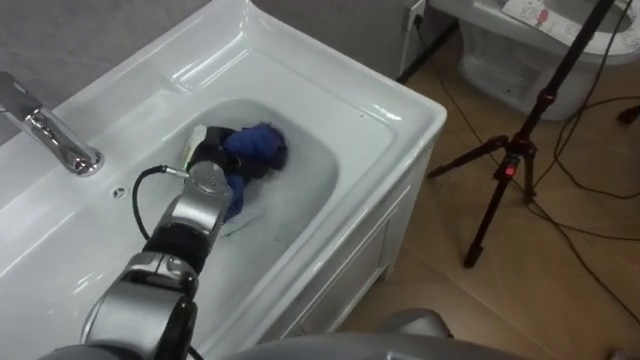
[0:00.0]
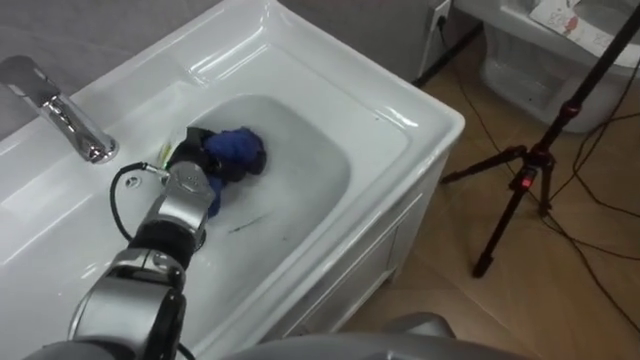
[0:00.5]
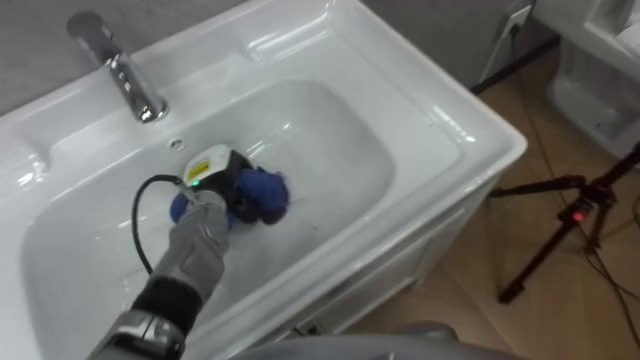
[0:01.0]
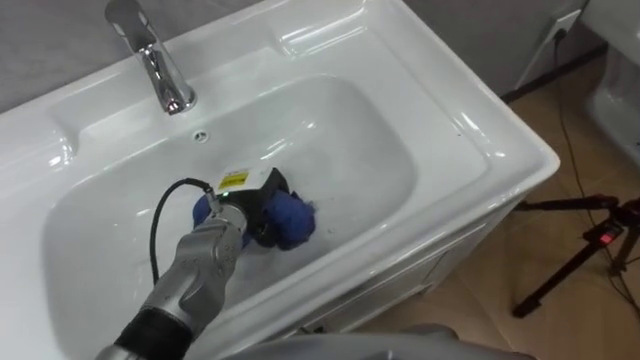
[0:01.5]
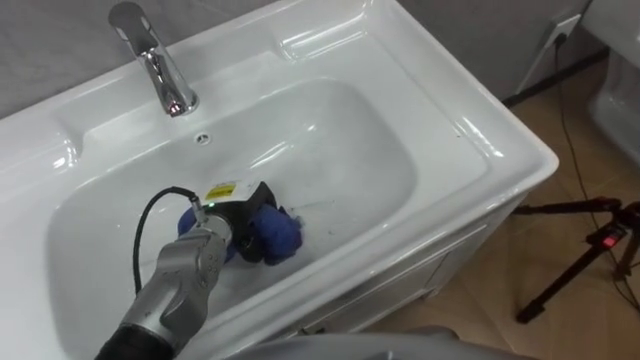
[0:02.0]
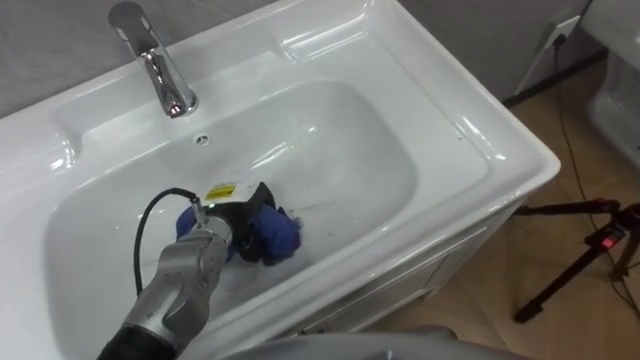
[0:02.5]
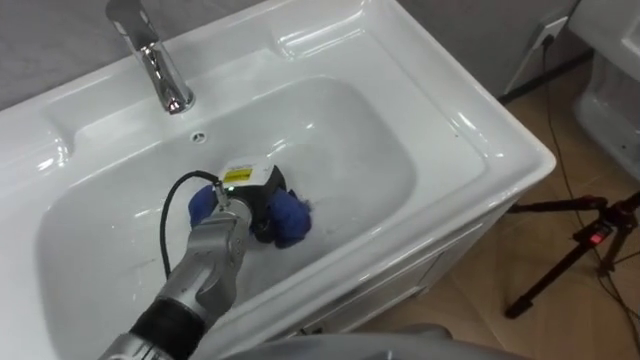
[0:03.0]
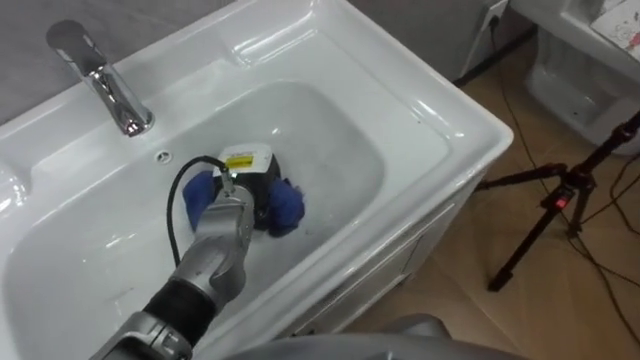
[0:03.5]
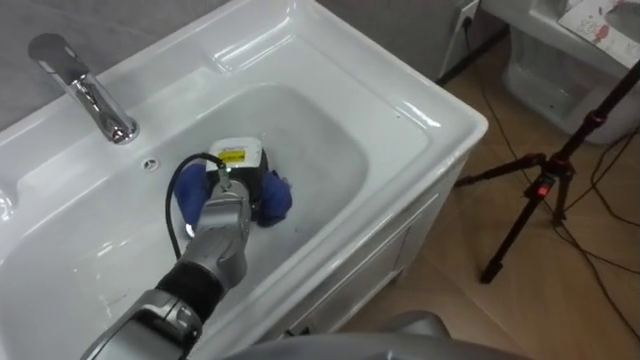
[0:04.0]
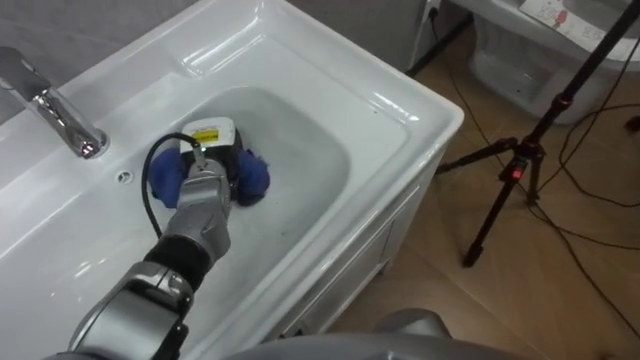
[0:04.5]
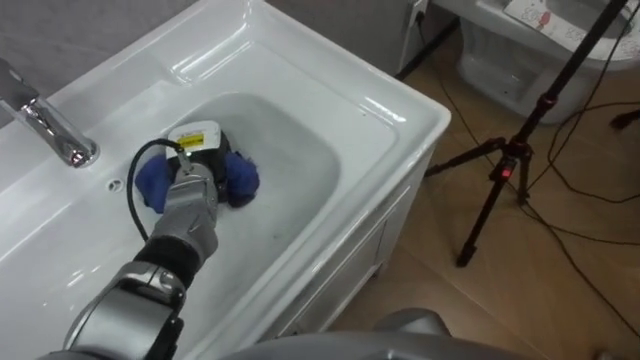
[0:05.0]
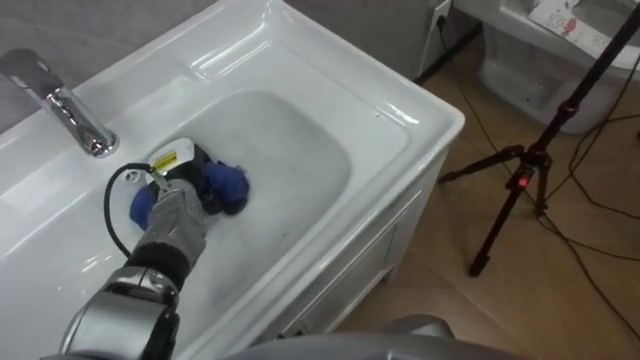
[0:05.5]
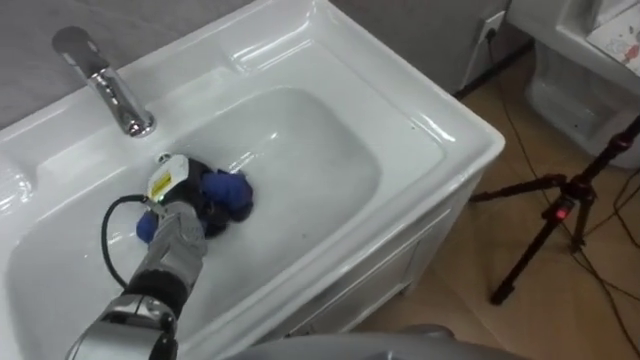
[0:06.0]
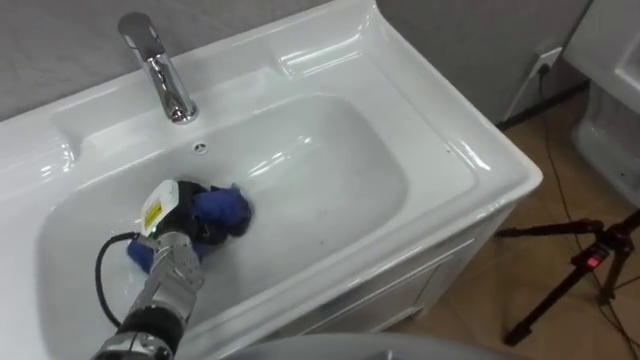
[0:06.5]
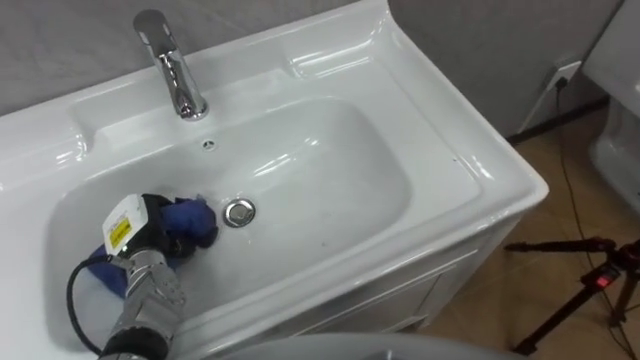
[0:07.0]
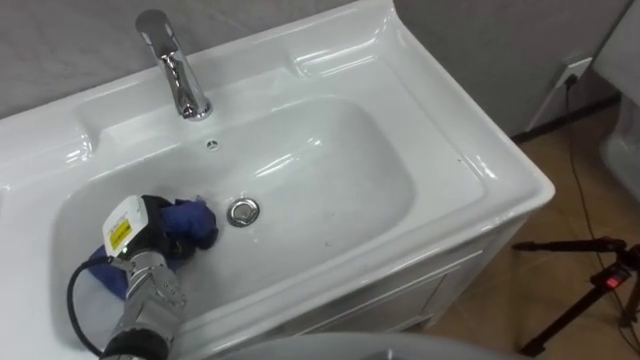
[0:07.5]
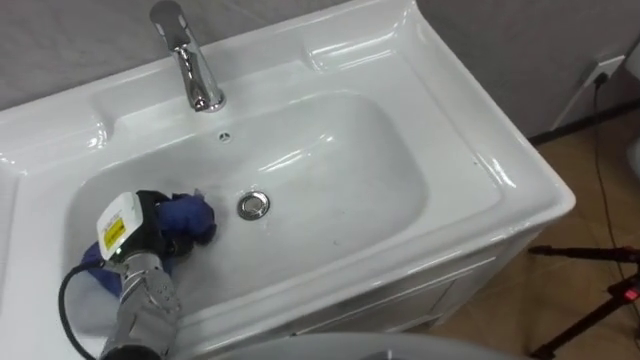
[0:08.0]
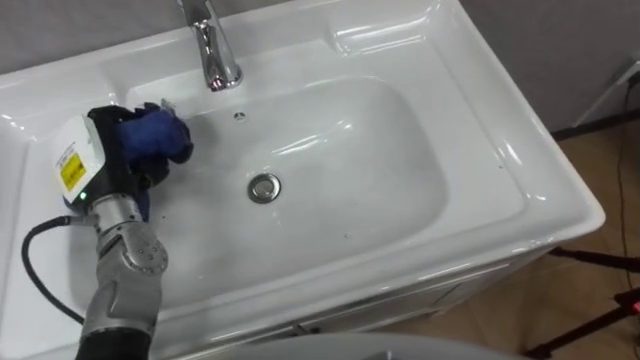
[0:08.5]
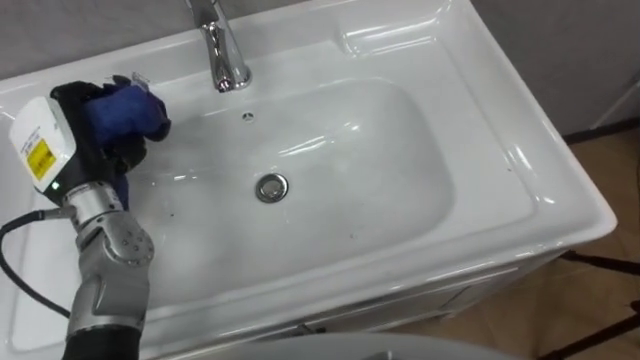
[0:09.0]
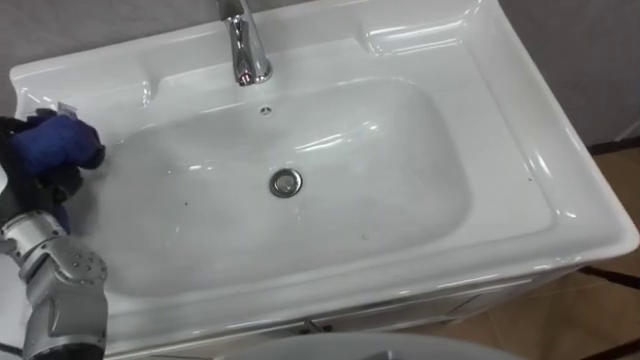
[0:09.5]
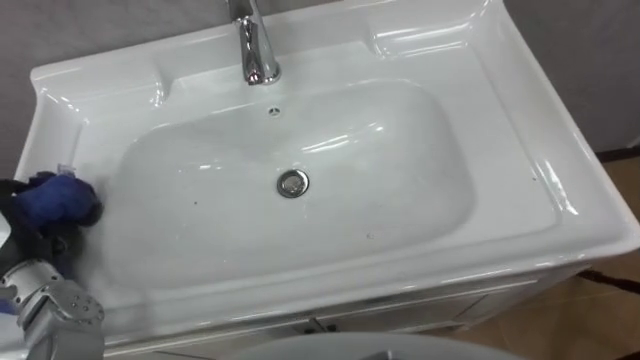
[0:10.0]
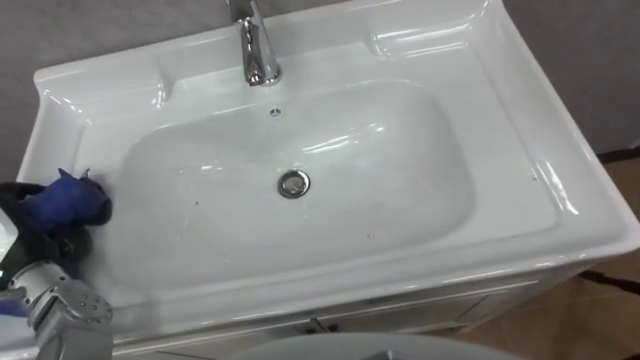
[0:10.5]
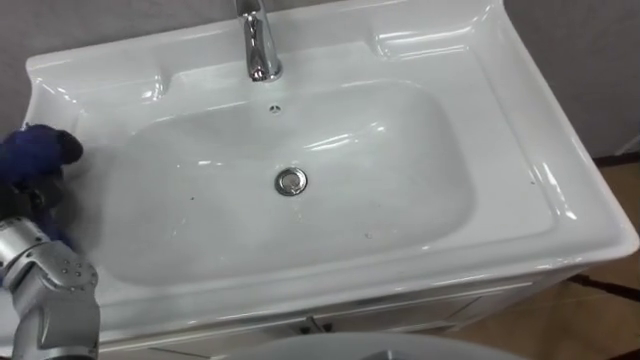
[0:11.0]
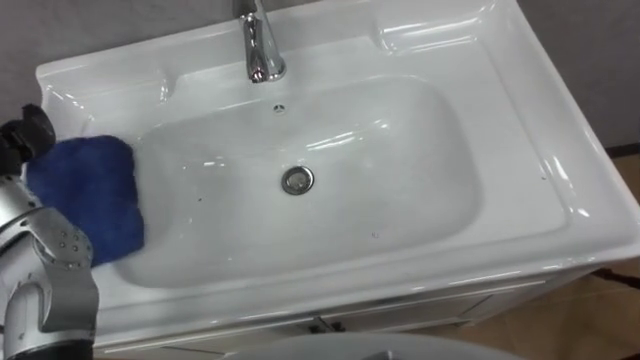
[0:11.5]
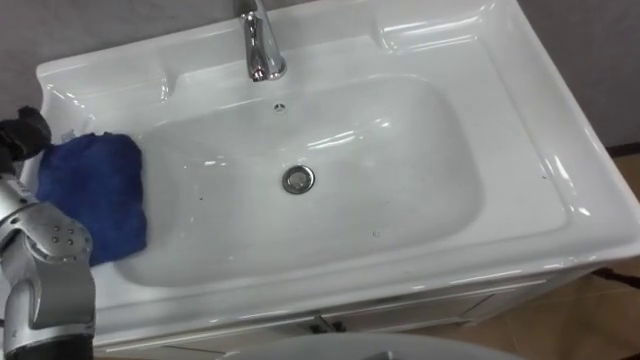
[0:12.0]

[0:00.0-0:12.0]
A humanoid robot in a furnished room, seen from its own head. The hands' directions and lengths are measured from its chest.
Task of the whole recording: Use the cloth on the right to wipe away the black stain in the sink.
0:00.0 to 0:02.0: The left hand moves backward, about 10 cm.
0:02.0 to 0:04.0: The left hand is displaced forward by approximately 5 cm.
0:04.0 to 0:06.0: The left hand shifts roughly 10 cm to the left.
0:06.0 to 0:08.0: The left hand shifts about 10 cm backward and to the left.

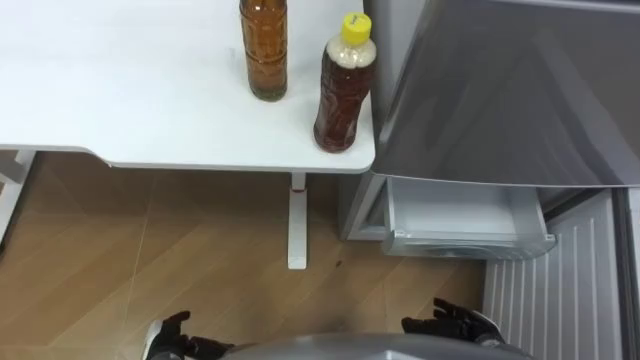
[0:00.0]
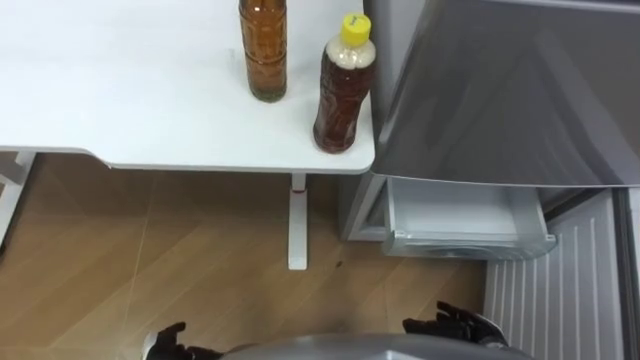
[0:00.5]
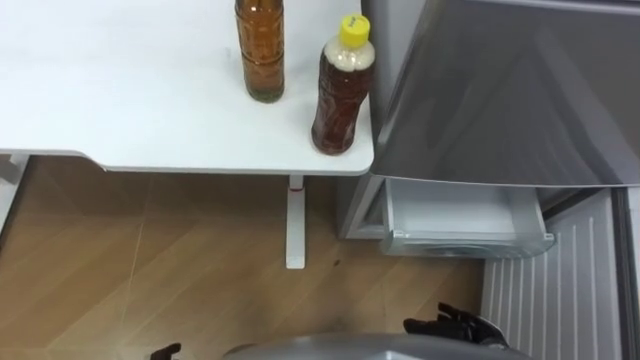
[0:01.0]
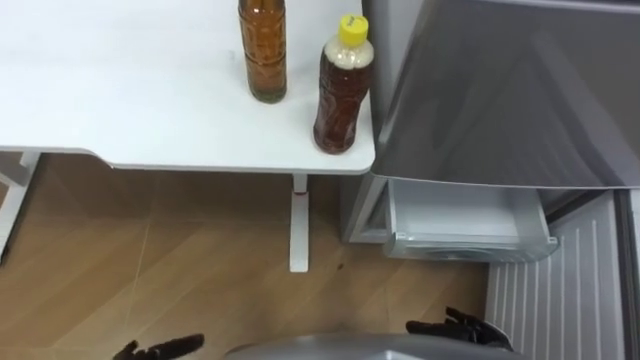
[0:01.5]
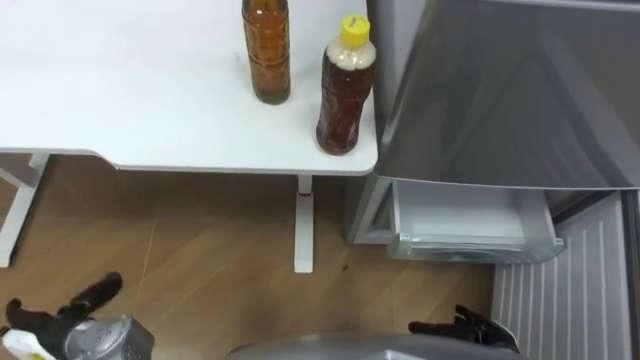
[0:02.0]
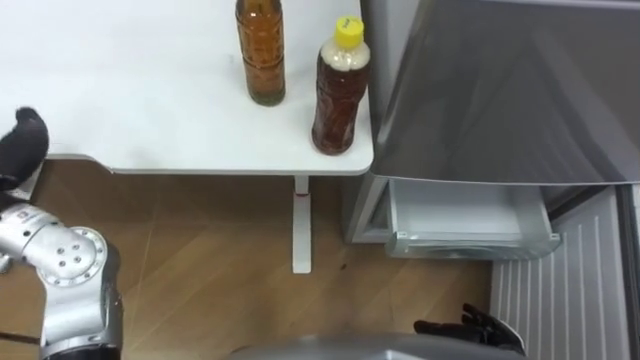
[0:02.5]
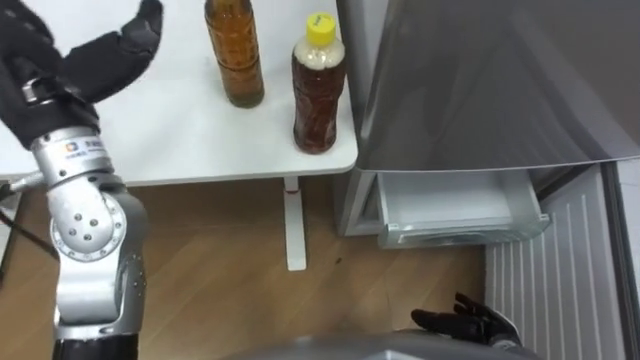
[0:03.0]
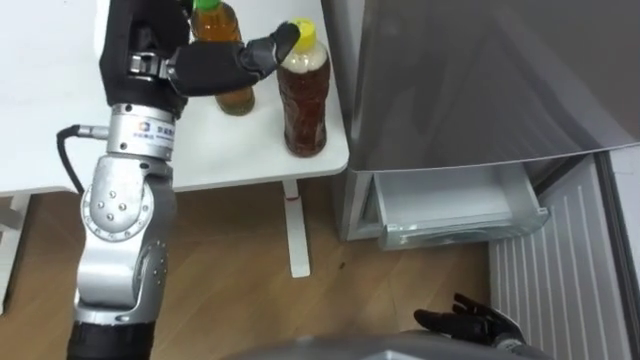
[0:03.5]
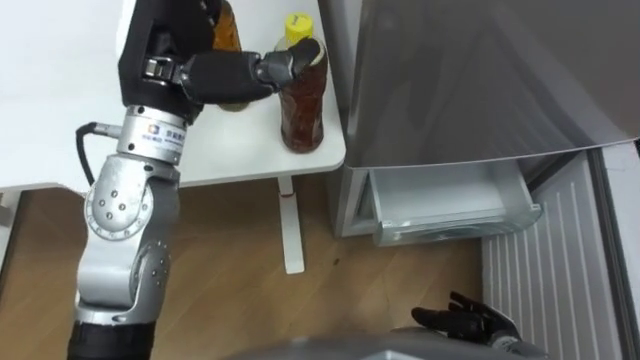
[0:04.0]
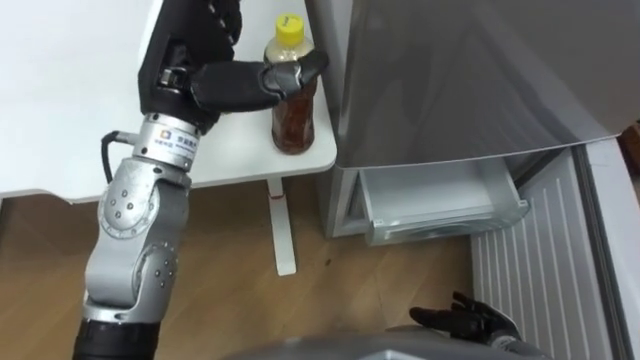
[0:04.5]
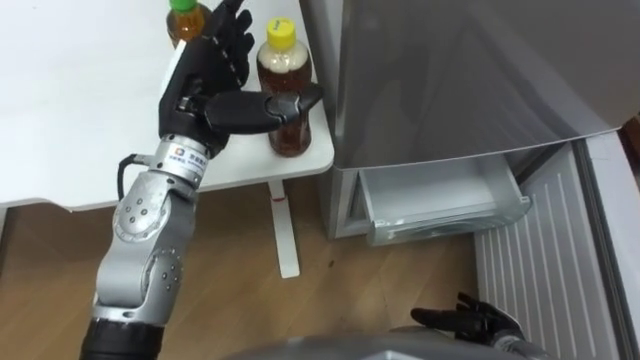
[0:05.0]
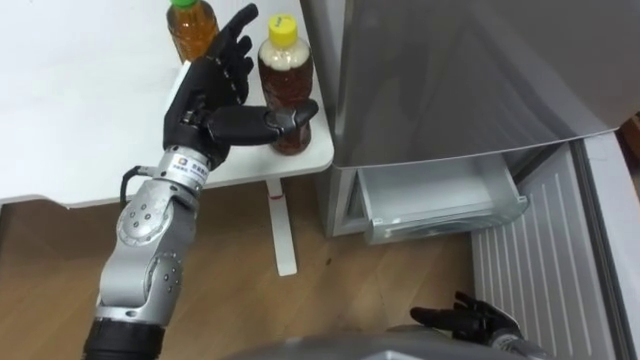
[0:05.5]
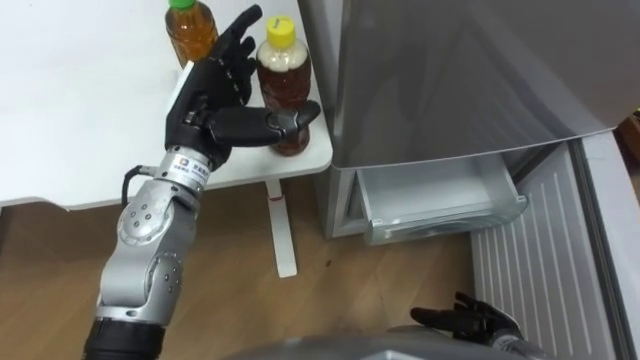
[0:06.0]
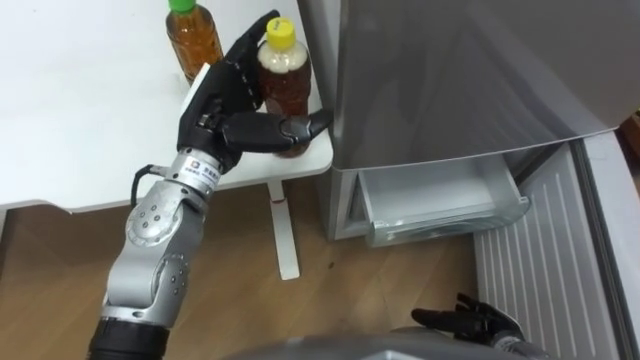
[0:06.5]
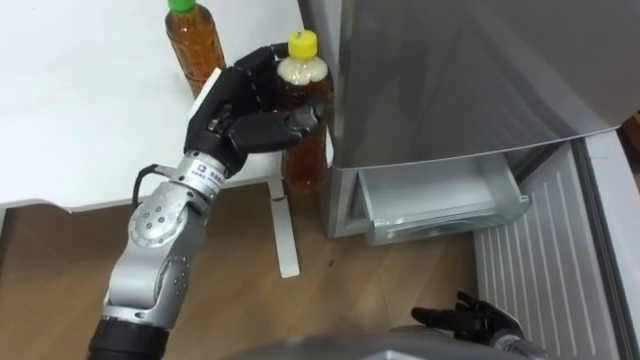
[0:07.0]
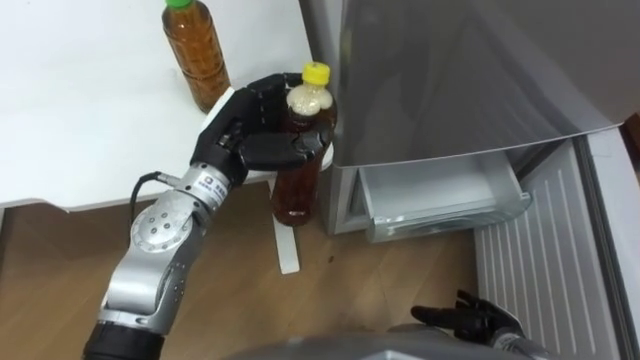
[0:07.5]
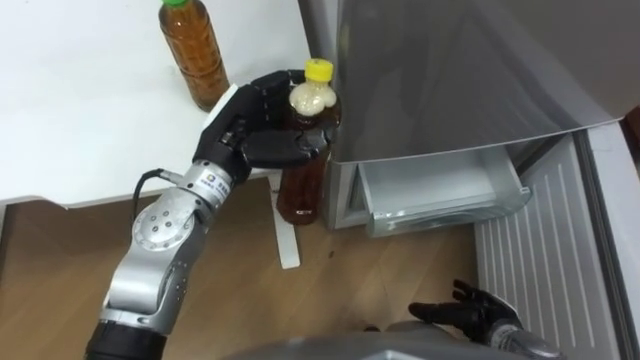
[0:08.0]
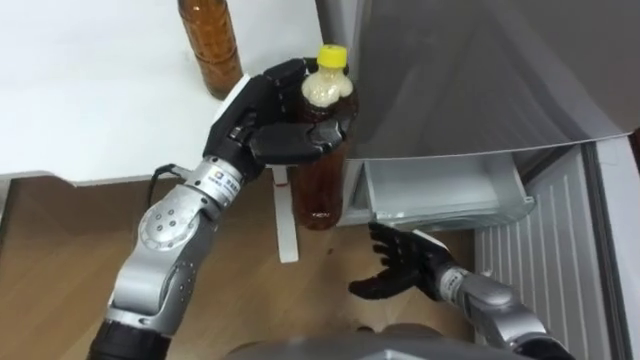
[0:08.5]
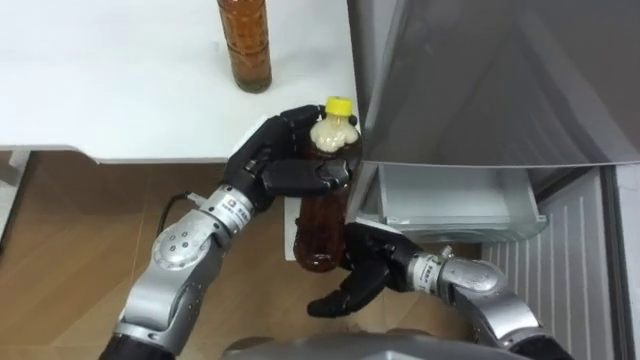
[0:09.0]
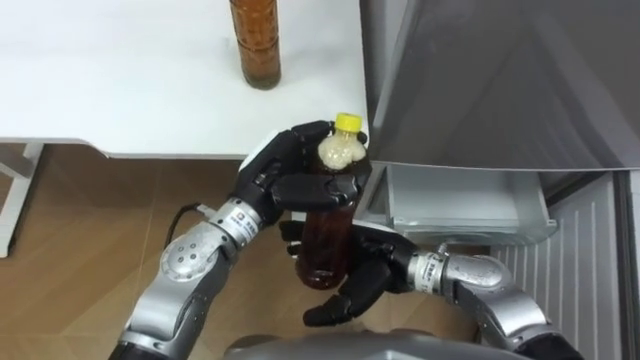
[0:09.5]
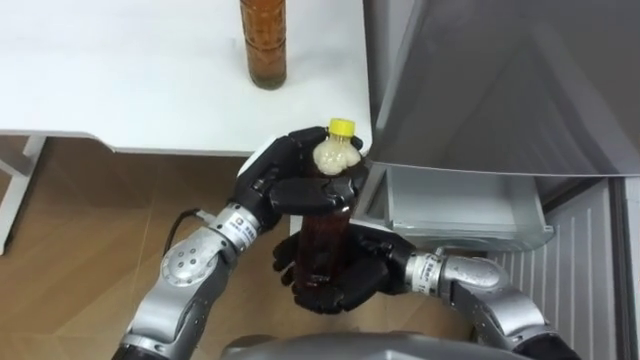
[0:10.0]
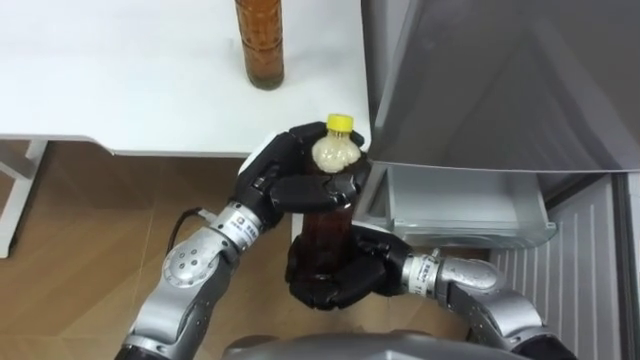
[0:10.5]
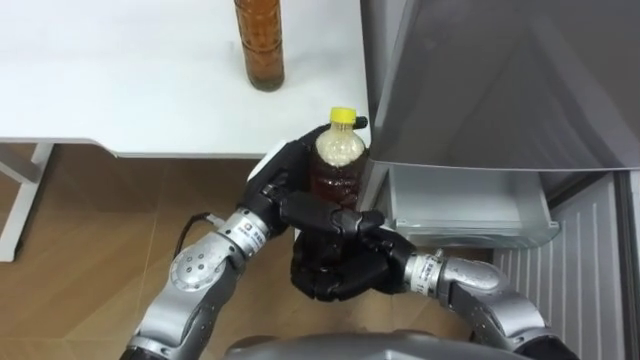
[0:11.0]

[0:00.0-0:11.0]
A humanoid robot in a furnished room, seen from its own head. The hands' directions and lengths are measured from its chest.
Task of the whole recording: Place the drink on the table on the bottom shelf of the refrigerator, then close the drawer and the refrigerator door.
0:03.5 to 0:05.5: The left hand goes some 10 cm downward.
0:05.5 to 0:07.5: The left hand closes up.
0:07.5 to 0:09.0: The right hand shifts some 25 cm to the left, upward and forward.
0:09.0 to 0:11.0: The right hand closes its fingers, while the left hand opens up.
